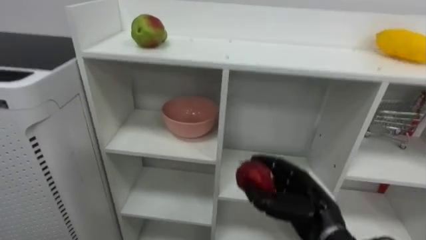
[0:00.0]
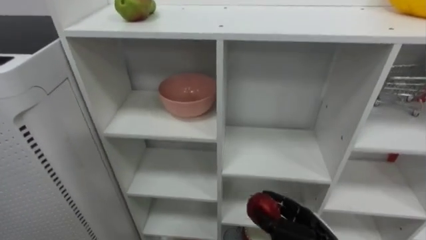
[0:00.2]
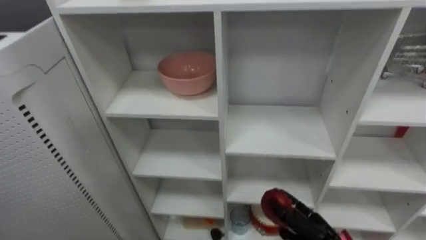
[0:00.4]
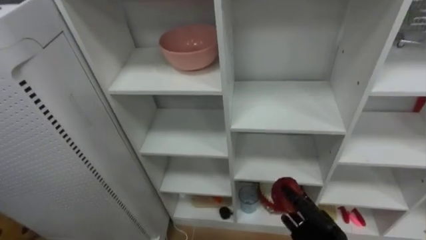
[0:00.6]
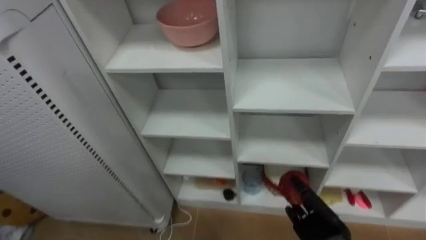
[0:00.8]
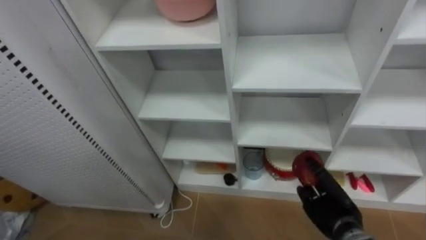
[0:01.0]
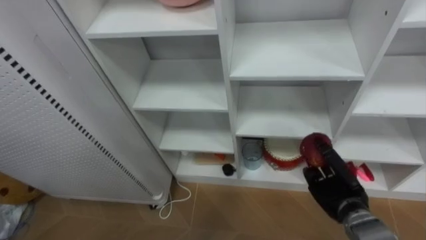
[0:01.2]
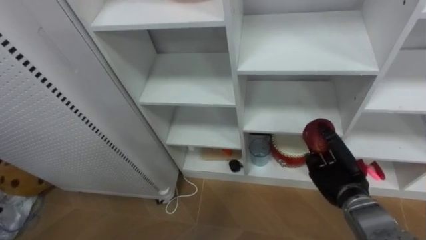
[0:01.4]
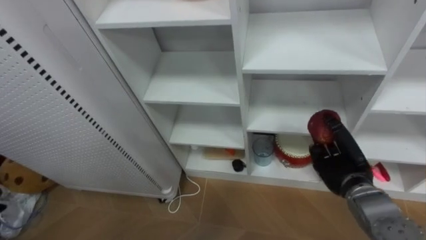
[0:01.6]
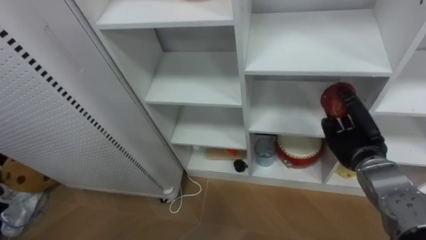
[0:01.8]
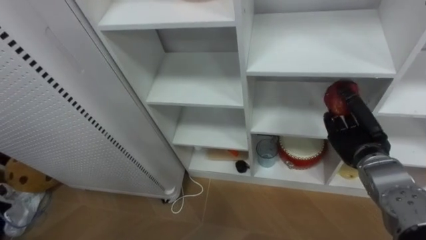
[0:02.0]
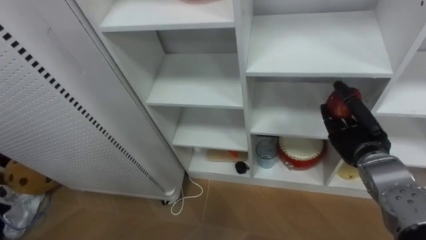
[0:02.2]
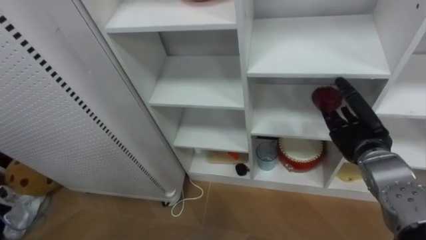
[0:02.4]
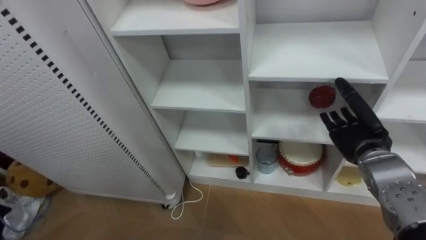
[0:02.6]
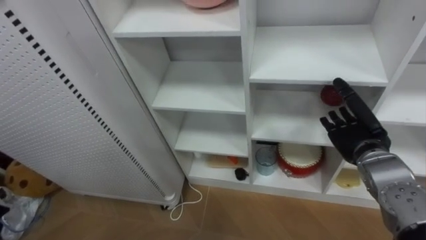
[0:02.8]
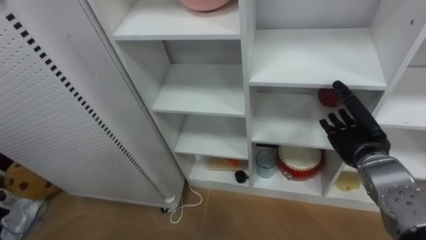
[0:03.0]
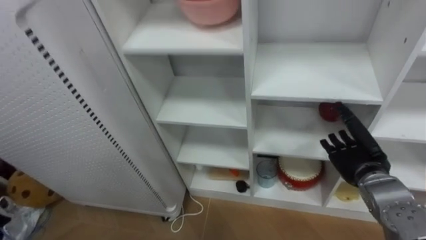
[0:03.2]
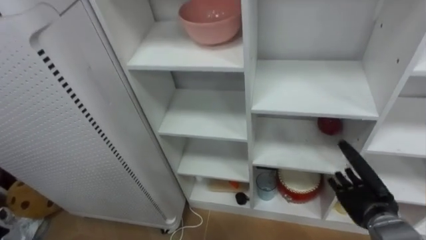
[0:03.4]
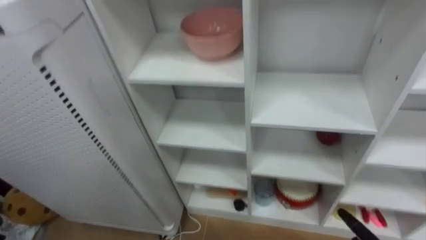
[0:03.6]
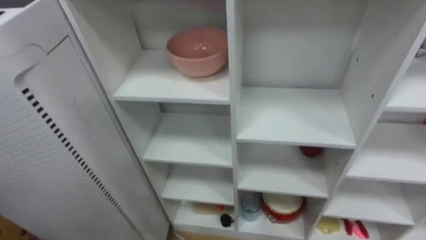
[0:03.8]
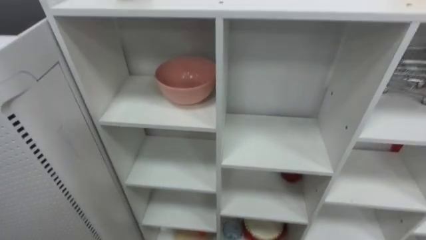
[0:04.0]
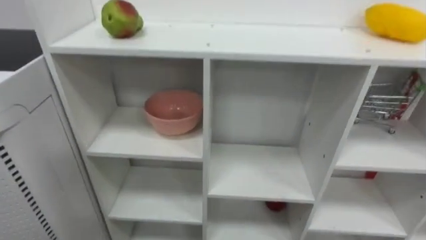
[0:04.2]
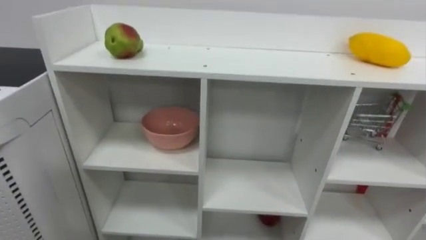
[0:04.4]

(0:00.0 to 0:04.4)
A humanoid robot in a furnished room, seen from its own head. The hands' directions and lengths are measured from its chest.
Task of the whole recording: Put the apple in the cell in the second column from the left and the second row from the top.
0:01.4 - 0:03.0: The right hand goes roughly 10 cm upward, and opens up.

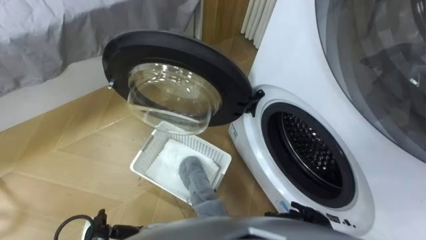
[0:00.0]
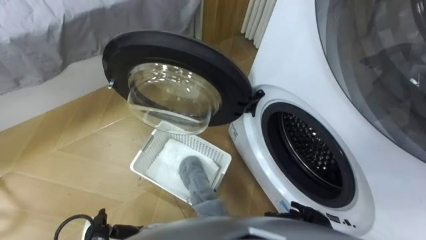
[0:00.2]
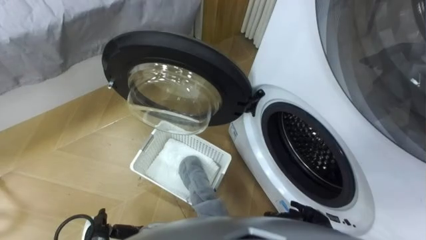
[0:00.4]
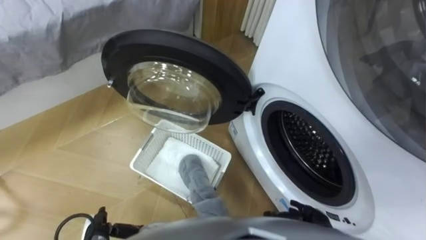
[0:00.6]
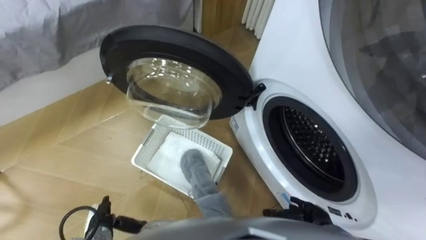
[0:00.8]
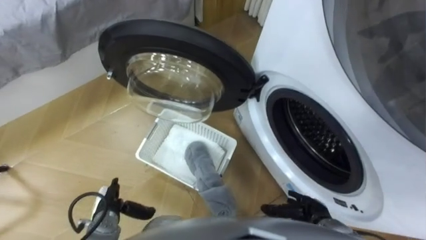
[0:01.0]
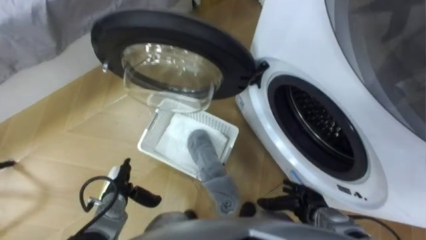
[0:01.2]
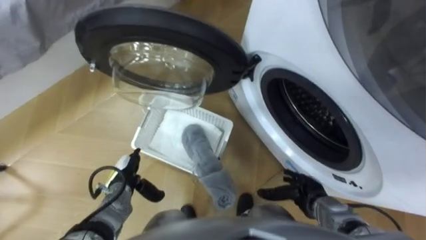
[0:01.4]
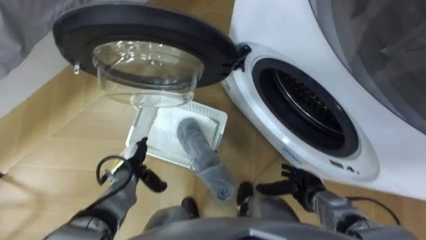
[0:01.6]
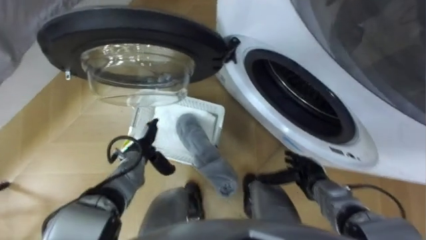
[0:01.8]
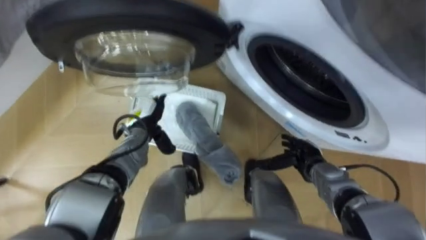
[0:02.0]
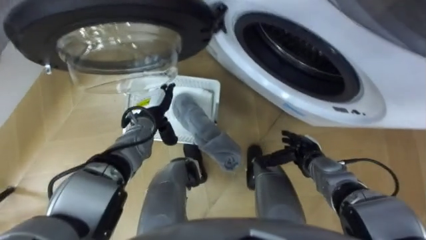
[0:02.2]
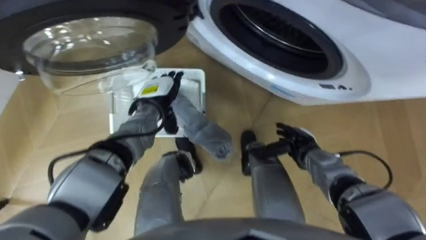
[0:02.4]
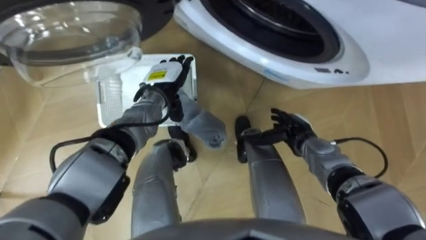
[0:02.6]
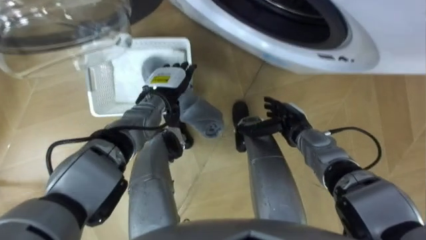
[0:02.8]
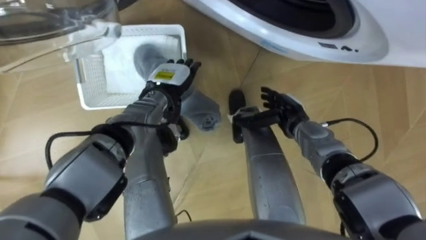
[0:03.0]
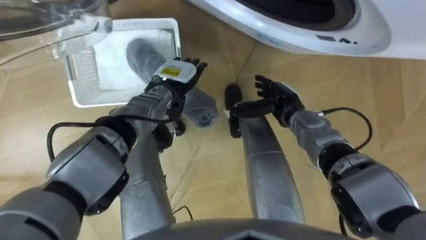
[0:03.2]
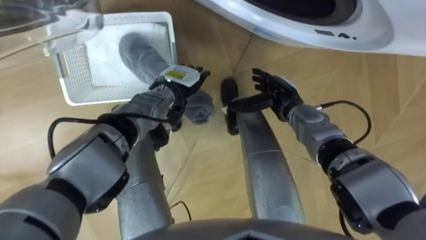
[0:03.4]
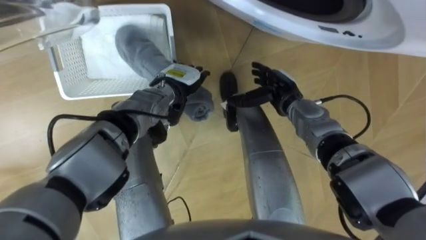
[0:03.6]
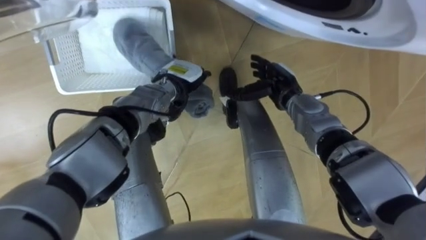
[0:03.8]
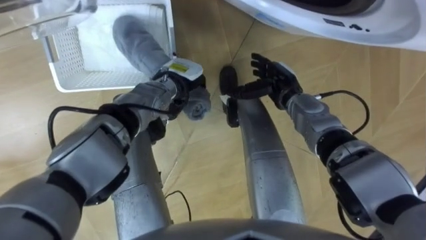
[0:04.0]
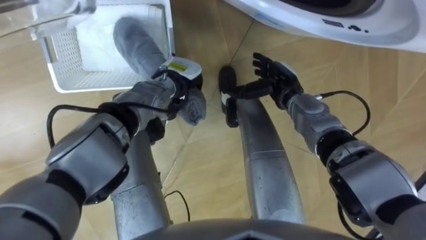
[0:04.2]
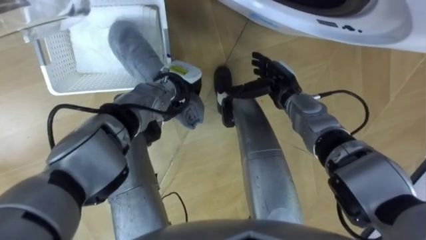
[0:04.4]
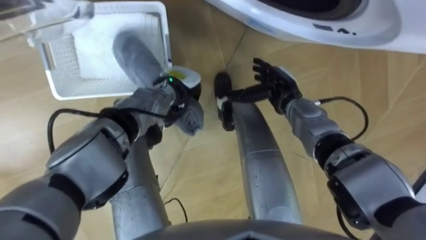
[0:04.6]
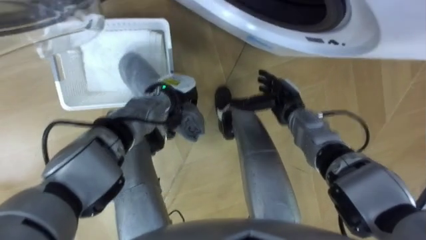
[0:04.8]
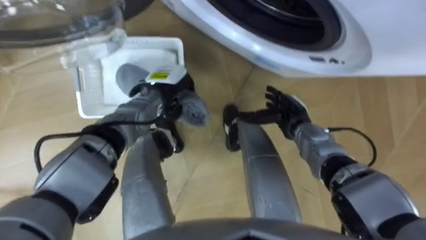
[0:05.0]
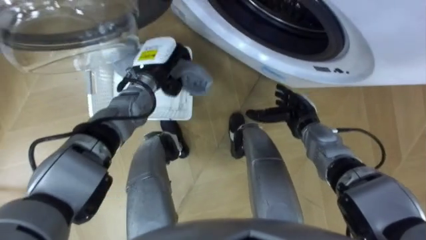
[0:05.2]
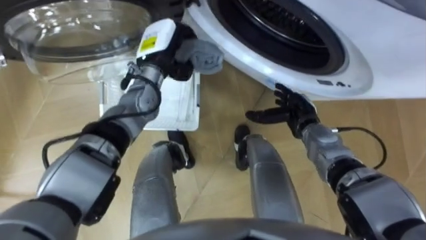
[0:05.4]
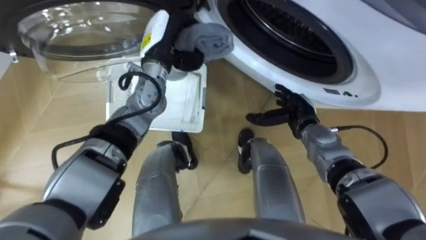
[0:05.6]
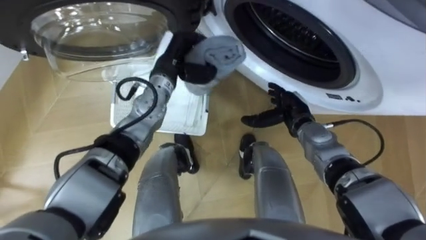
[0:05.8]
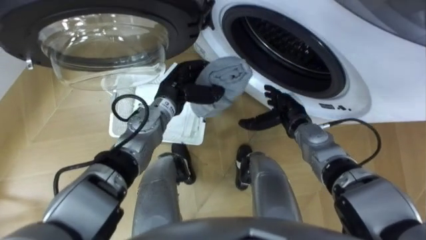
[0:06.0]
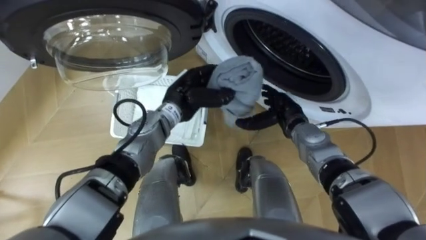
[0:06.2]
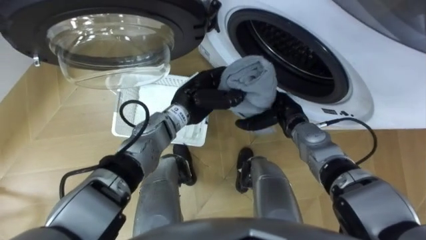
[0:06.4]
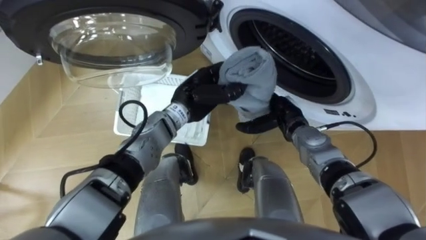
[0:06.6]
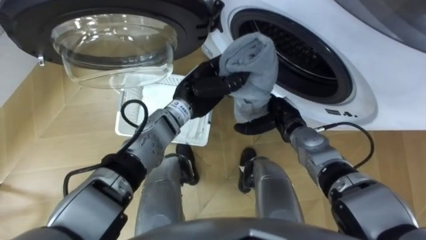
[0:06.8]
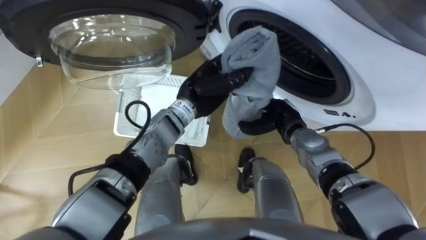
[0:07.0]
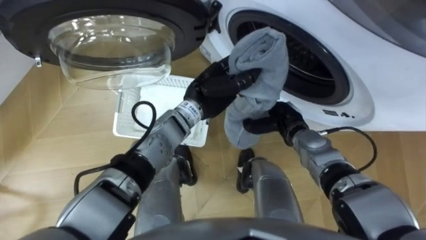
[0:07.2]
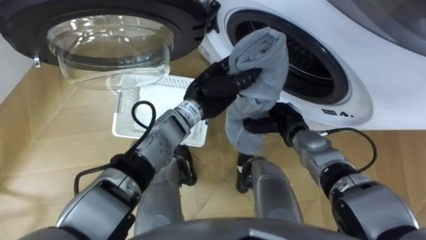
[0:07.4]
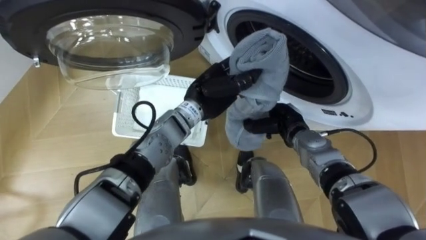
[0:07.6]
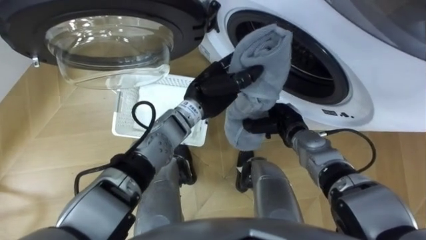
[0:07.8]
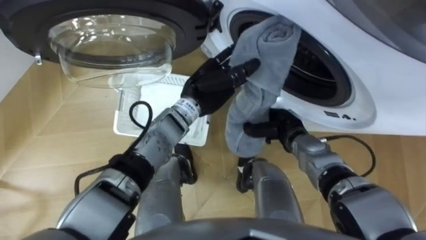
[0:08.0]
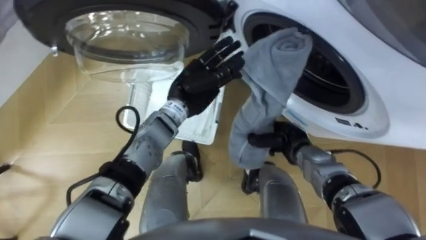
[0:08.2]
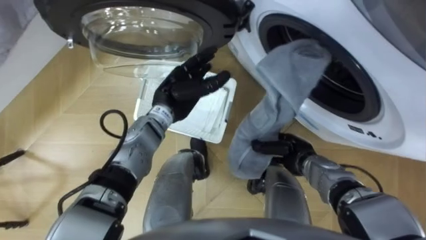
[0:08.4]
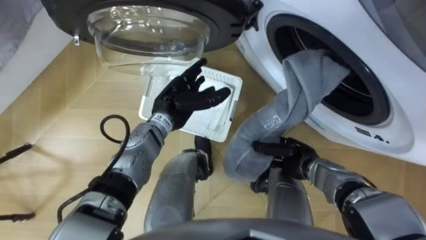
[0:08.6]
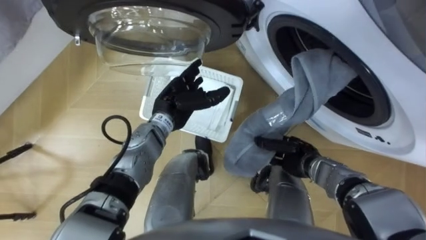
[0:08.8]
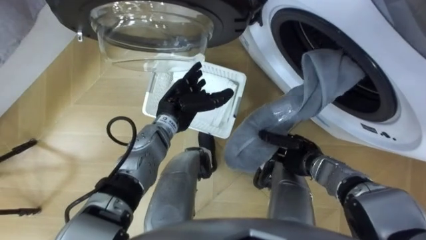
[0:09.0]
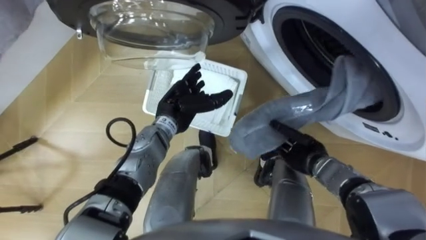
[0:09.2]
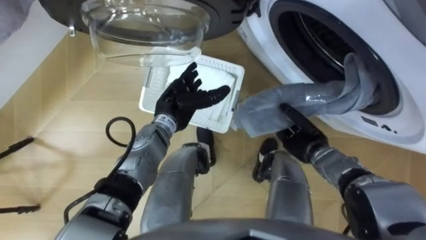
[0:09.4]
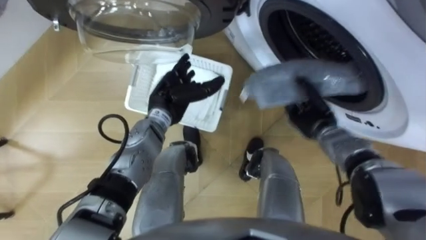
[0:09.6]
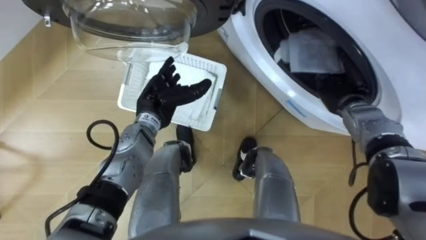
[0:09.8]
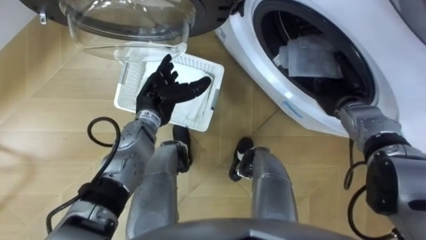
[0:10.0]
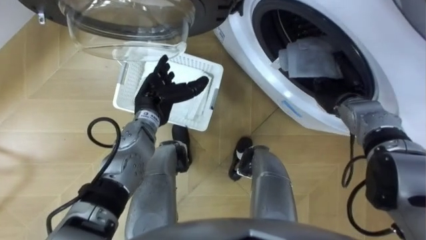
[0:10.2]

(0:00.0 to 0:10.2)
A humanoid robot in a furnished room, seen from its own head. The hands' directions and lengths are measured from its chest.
Task of the whole recording: Take the towel from the basket and put it into the washing machine.
0:01.4 - 0:03.0: The right hand travels forward and upward by roughly 20 cm. The left hand travels forward, upward and to the right by about 25 cm.
0:03.0 - 0:04.4: The left hand closes, while the right hand shifts about 5 cm forward.
0:04.4 - 0:05.8: The left hand travels upward by approximately 5 cm. The right hand changes place by some 5 cm.
0:05.8 - 0:07.2: The left hand is displaced to the right and backward by approximately 10 cm, while the right hand closes.
0:07.2 - 0:08.8: The left hand shifts roughly 10 cm to the left, and opens up. Meanwhile the right hand shifts about 5 cm backward.
0:08.8 - 0:10.2: The right hand travels forward, upward and to the right by approximately 15 cm.

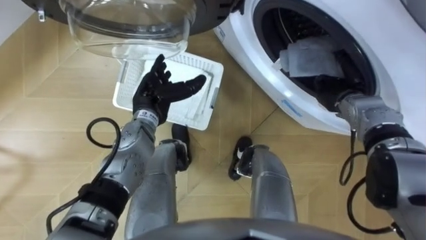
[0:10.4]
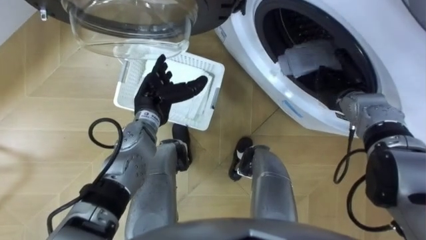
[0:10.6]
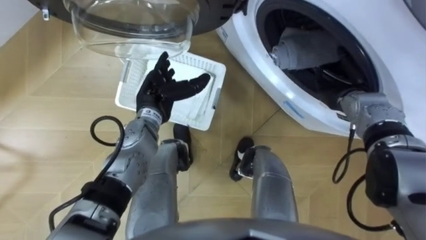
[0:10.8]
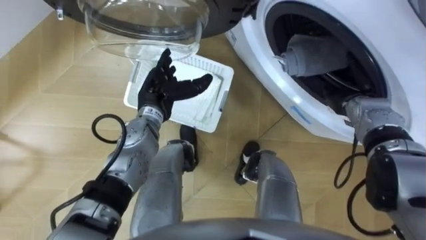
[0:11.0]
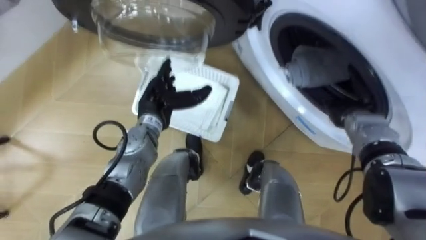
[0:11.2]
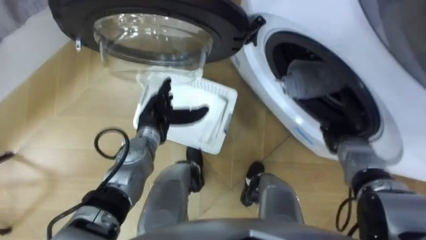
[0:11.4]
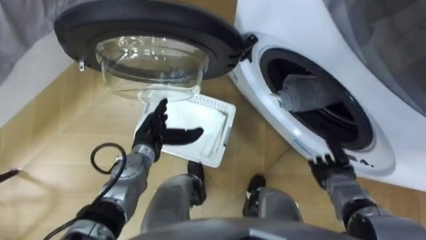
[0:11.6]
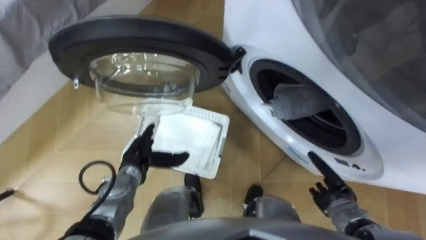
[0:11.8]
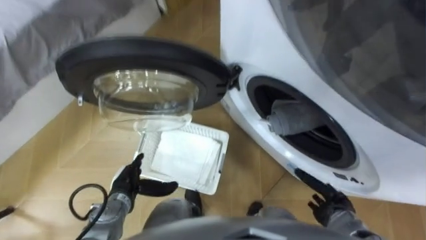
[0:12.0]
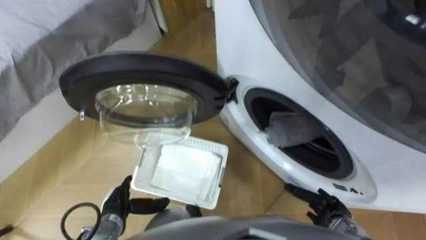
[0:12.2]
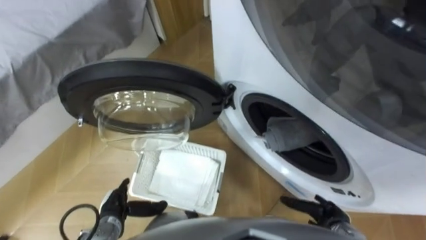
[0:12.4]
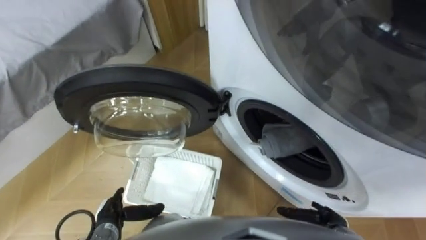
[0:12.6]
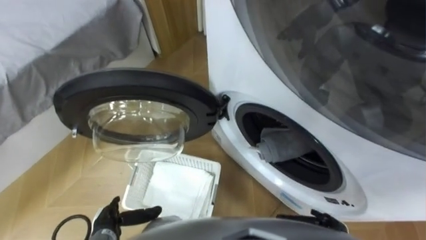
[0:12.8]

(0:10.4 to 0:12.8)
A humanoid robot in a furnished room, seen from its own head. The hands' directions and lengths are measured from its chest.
Task of the whole recording: Take the towel from the basket and put it into the washing machine.
0:10.4 - 0:11.6: The left hand moves downward and backward, about 10 cm. Meanwhile the right hand moves backward and downward, about 15 cm, and opens up.
0:11.6 - 0:12.8: The left hand is displaced backward, to the left and downward by about 25 cm, while the right hand goes approximately 15 cm backward.
